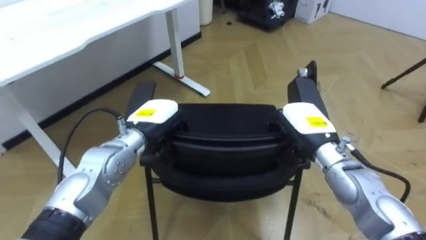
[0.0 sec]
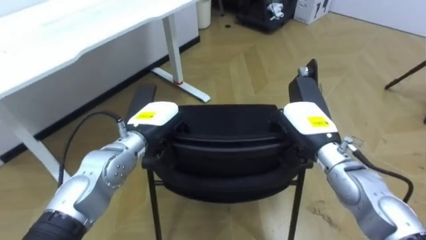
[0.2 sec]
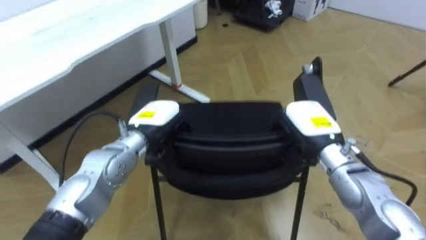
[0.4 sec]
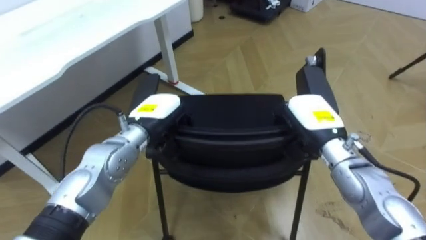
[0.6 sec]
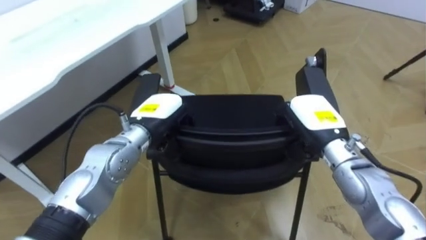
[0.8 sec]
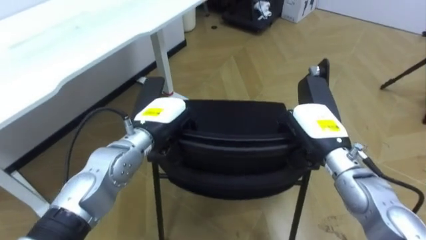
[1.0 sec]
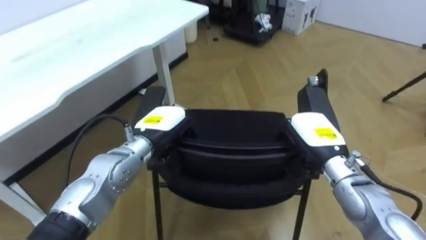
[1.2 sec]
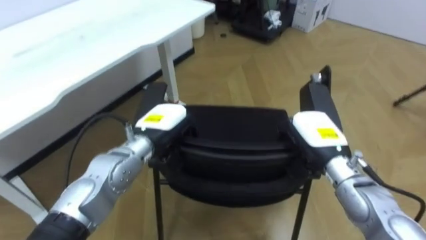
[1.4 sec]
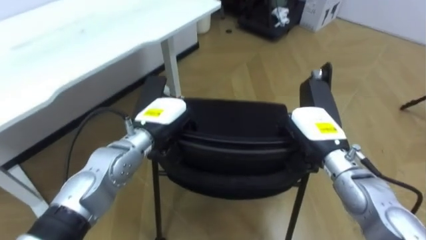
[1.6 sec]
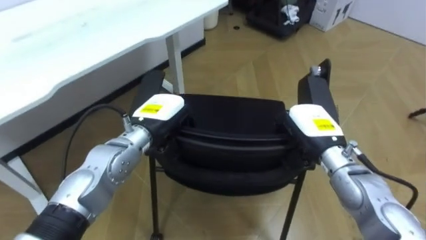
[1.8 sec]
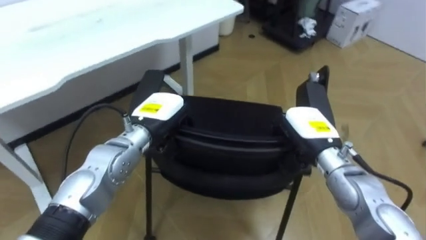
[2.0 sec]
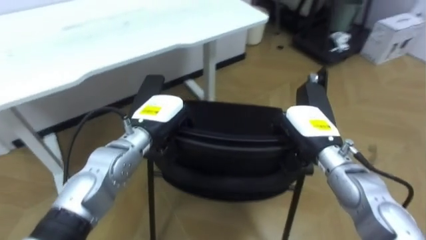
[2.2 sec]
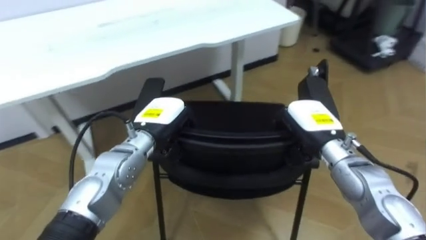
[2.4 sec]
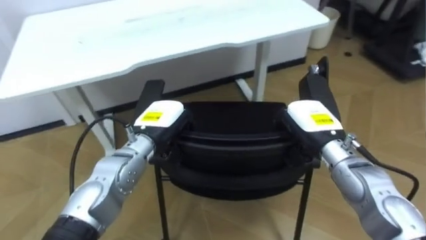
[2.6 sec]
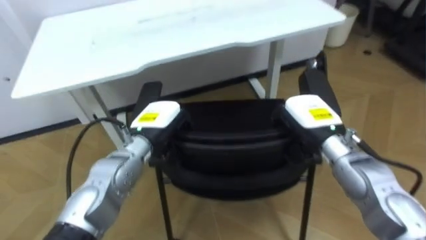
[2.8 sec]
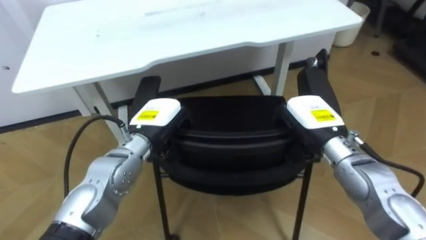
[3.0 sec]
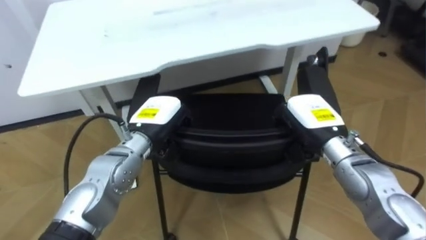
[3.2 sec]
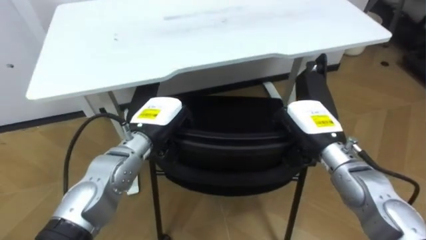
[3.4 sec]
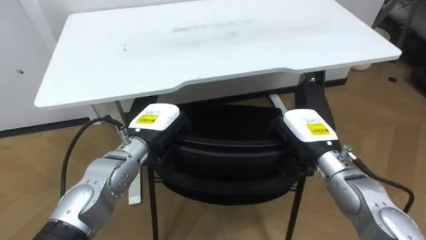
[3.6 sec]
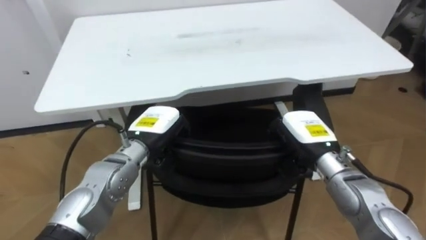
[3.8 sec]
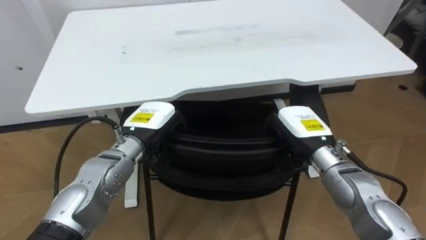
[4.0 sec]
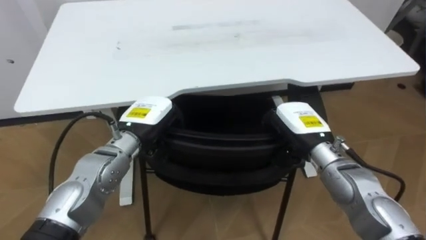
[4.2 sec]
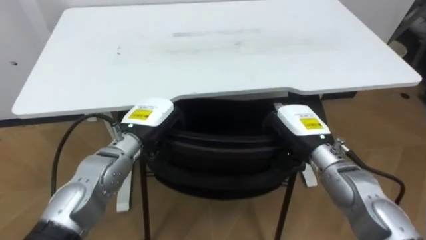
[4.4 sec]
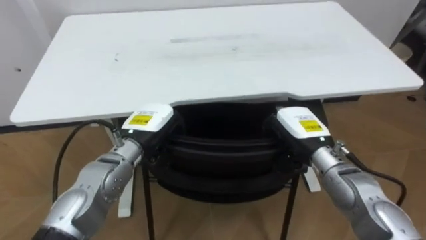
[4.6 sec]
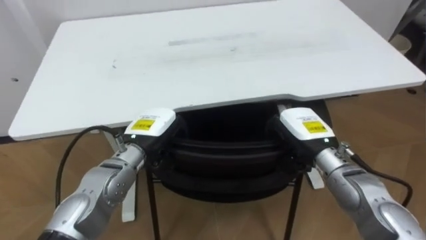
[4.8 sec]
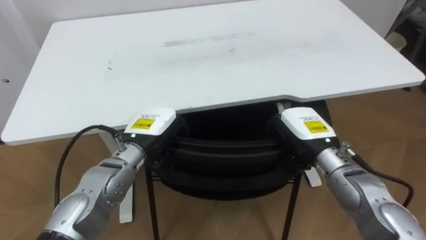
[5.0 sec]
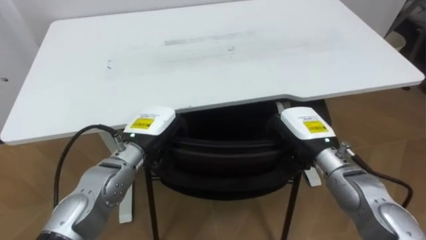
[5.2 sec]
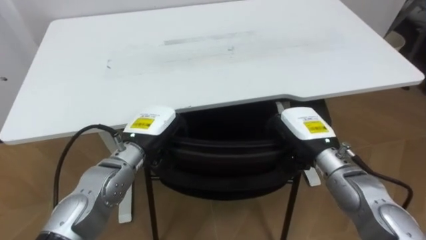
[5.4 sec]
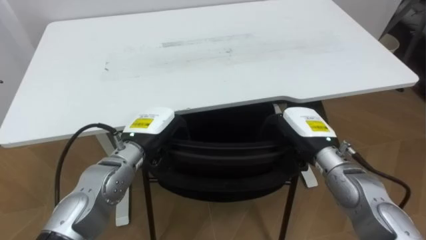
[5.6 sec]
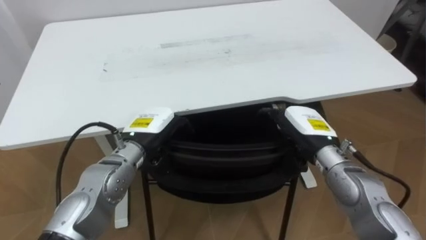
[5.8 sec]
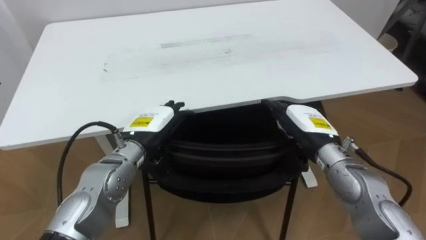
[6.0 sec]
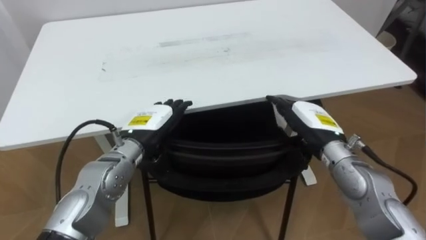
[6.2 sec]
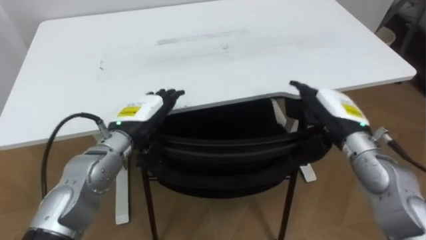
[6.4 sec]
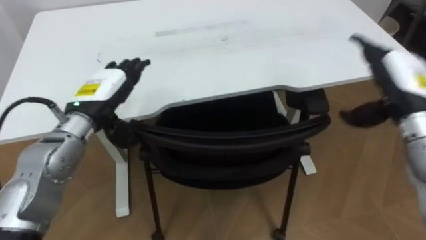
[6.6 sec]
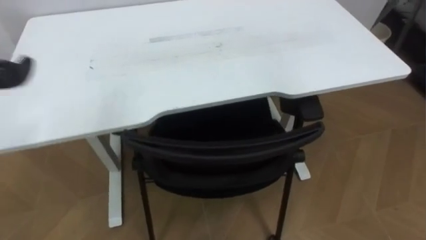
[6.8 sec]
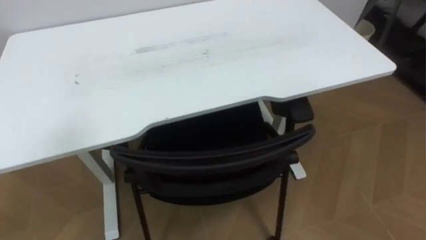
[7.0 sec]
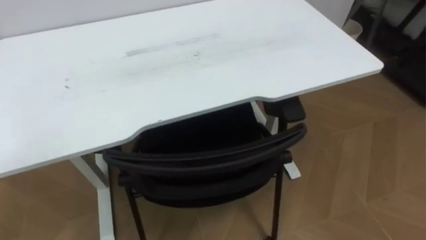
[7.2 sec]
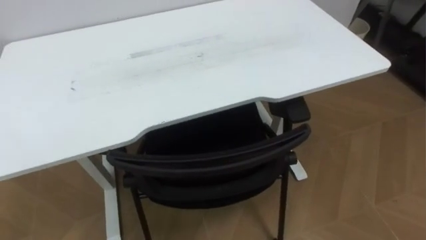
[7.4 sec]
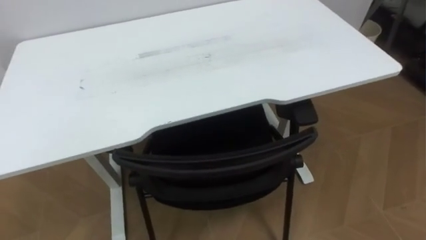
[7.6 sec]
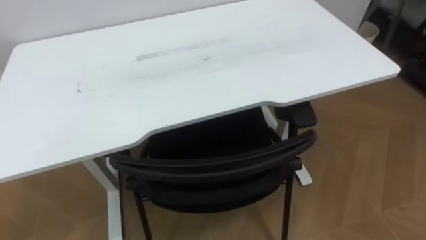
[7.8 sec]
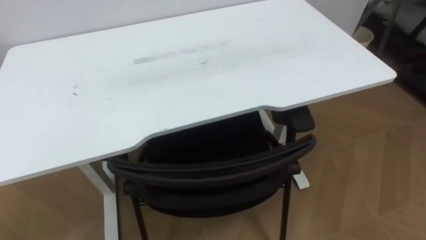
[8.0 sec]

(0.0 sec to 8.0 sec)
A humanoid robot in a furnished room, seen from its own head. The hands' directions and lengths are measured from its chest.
Task of the whole recording: Push the chair under the table.
1.6 sec - 3.2 sec: The robot rotates some 30 degrees to its left.
4.8 sec - 6.4 sec: The right hand changes place by about 5 cm, and opens, while the left hand opens up.

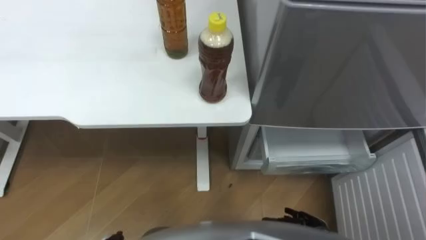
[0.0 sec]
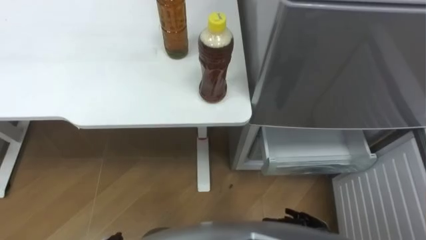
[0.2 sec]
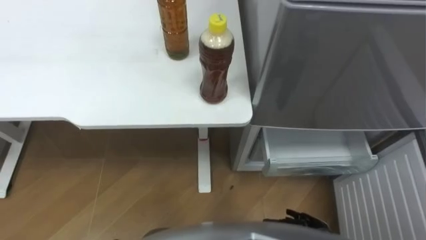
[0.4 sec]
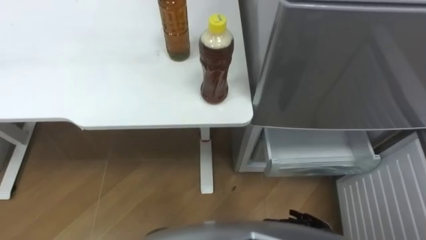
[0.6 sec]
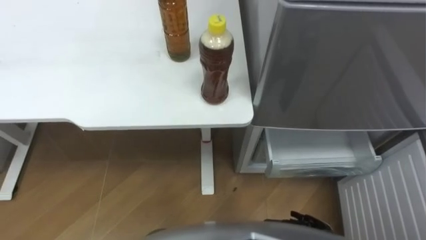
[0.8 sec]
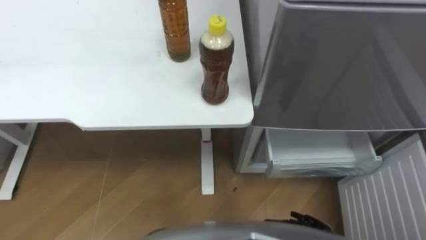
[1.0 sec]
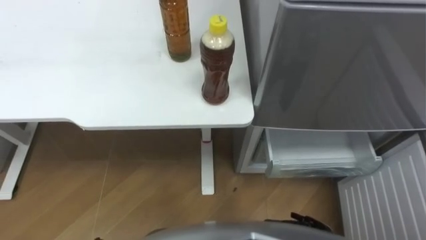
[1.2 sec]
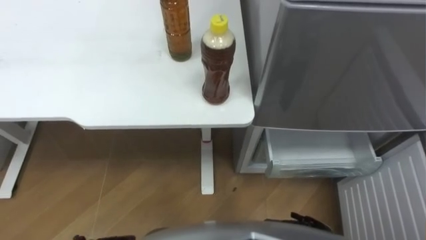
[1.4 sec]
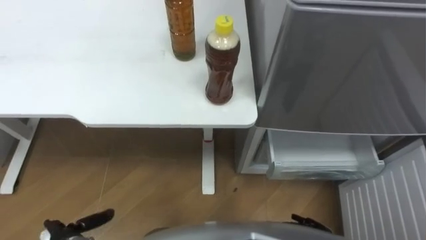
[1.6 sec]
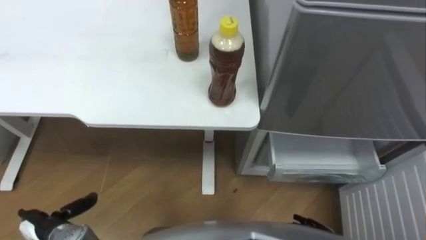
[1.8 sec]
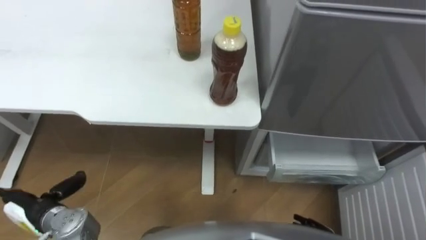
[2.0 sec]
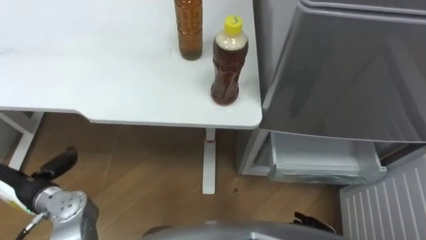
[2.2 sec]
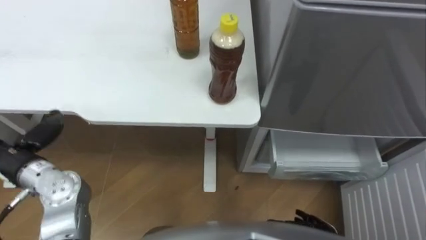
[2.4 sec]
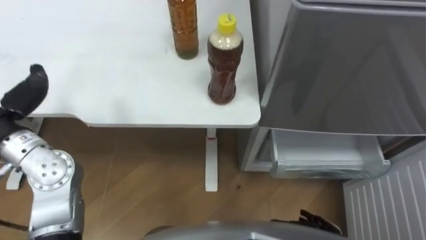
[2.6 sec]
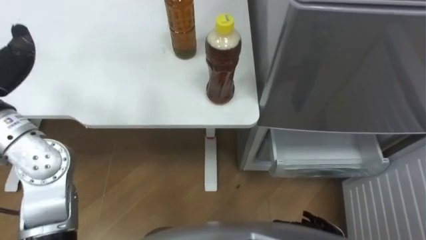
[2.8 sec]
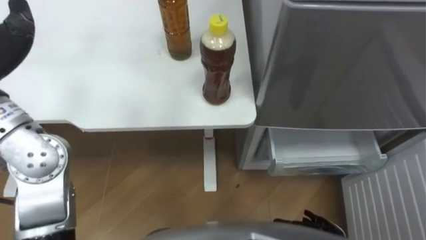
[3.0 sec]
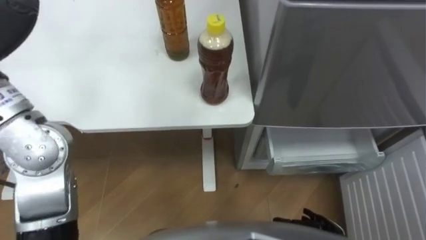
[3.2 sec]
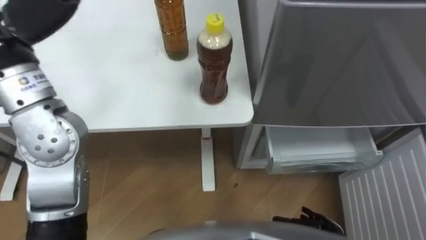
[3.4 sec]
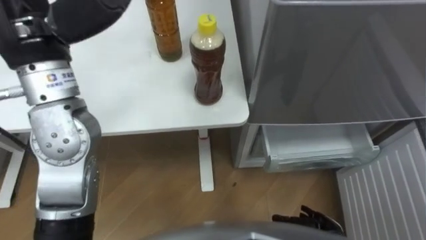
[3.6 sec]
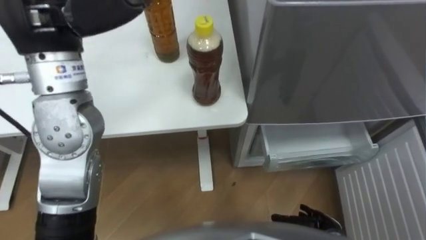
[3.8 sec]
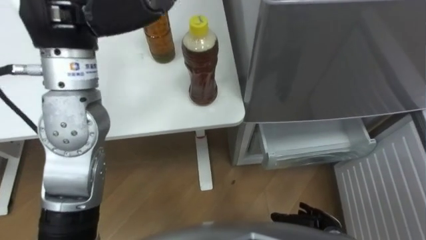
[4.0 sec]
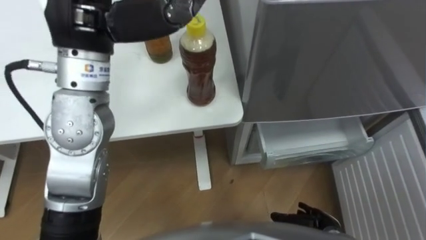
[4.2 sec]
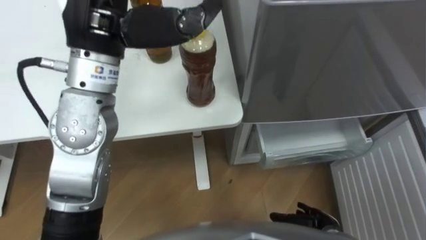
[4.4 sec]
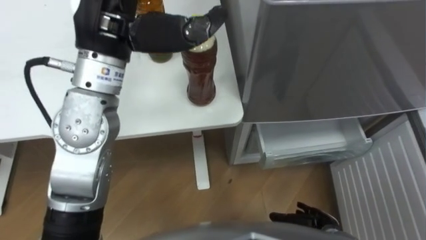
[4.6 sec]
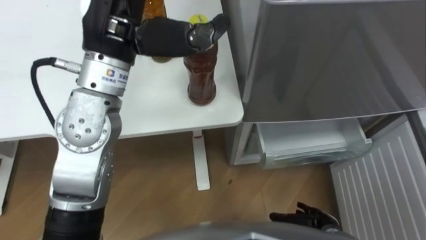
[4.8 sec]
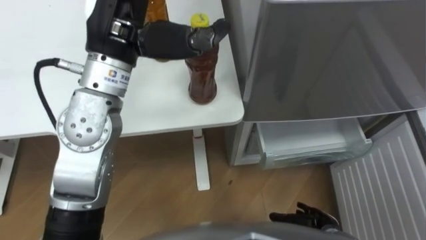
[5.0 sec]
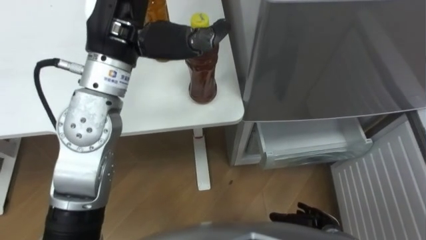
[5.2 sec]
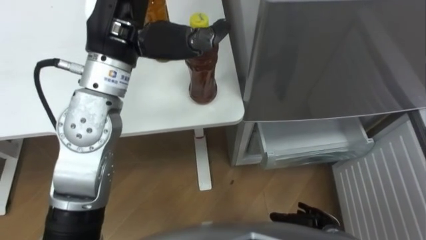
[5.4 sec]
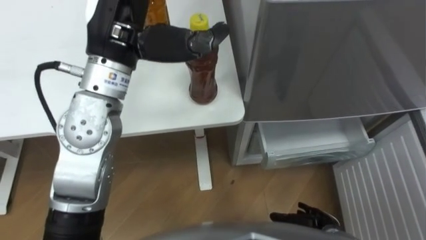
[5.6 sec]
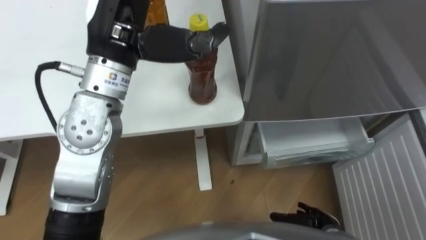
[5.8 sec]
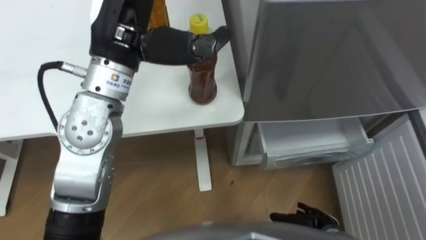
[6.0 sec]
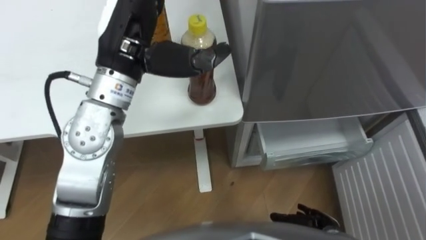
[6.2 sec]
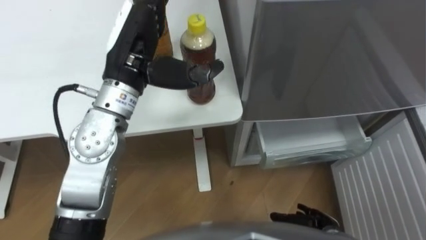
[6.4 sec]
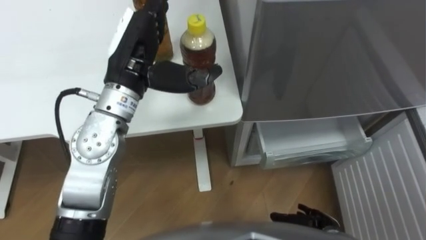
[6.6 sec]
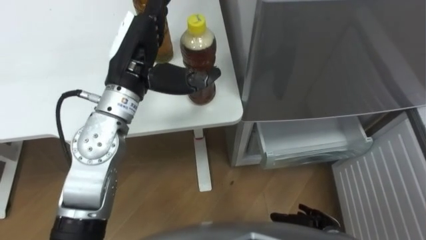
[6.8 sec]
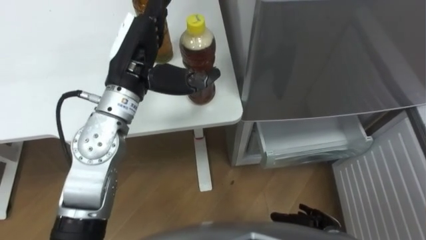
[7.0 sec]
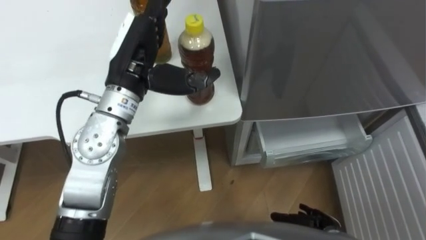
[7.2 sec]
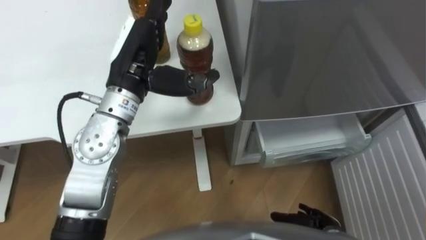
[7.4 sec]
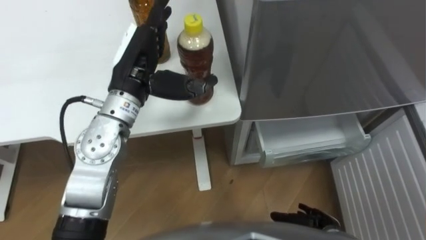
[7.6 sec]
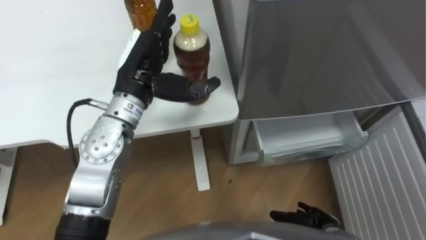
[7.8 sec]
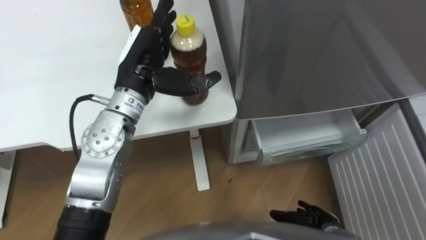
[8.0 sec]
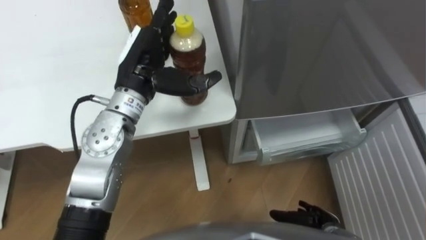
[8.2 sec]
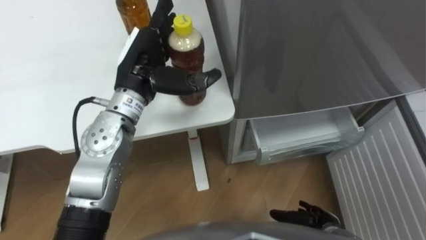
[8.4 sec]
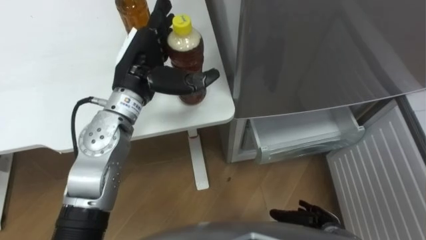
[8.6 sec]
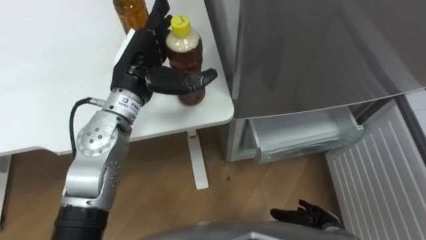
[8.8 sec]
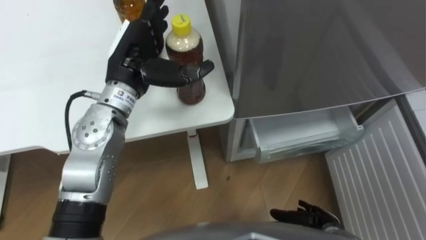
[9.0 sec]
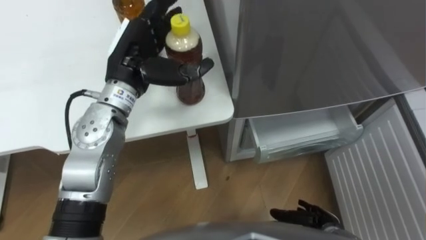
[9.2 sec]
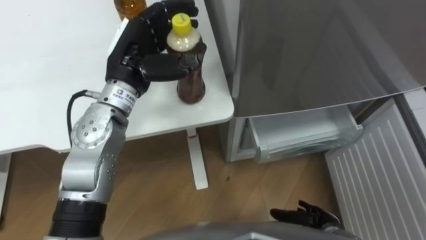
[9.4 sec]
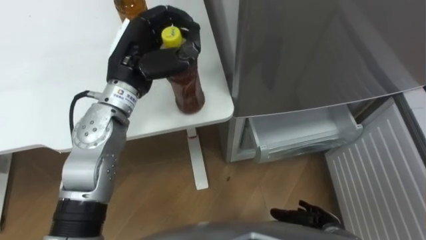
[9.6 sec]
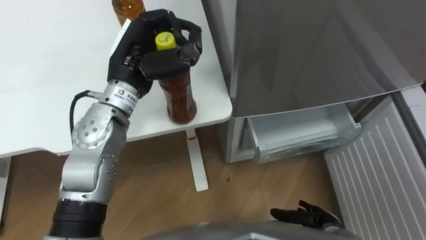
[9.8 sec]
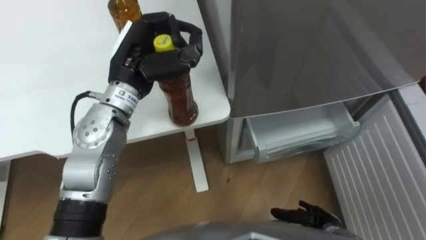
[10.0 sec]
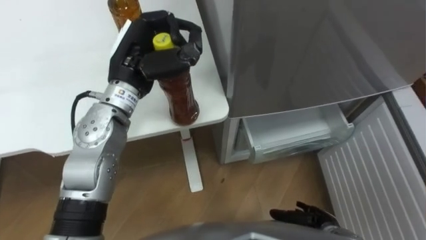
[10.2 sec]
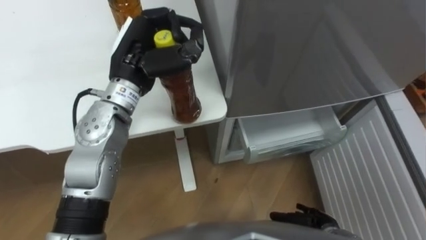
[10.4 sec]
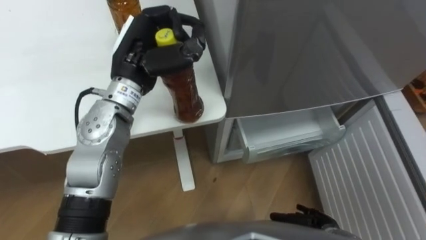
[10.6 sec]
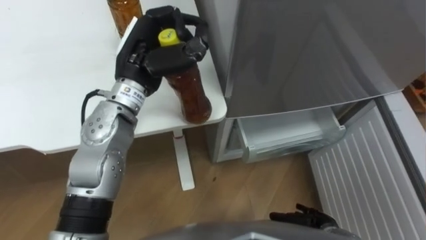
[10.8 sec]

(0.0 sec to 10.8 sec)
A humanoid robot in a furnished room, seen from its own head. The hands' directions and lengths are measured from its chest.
Task of the whole recording: Place the drink on the table on the bottom shelf of the refrigerator, then close the drawer and the refrigerator door.
4.6 sec - 6.2 sec: The hands stay close to where they were, moving slightly.
6.2 sec - 7.8 sec: The left hand travels downward by roughly 10 cm.
9.2 sec - 10.8 sec: The left hand closes.
